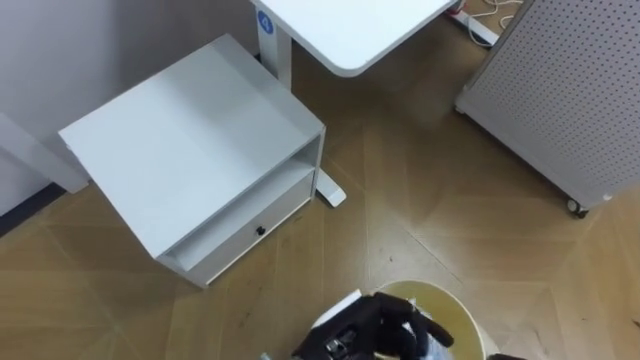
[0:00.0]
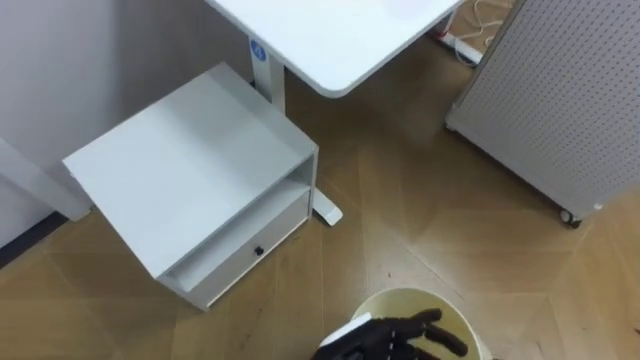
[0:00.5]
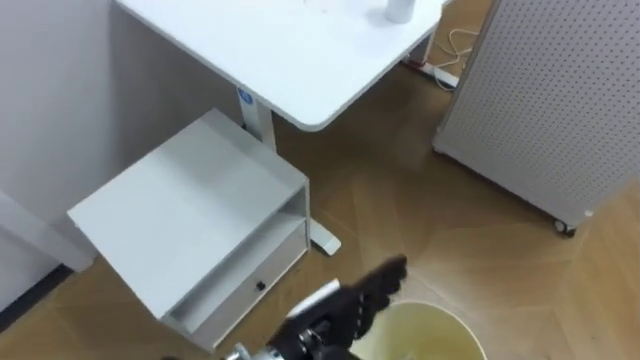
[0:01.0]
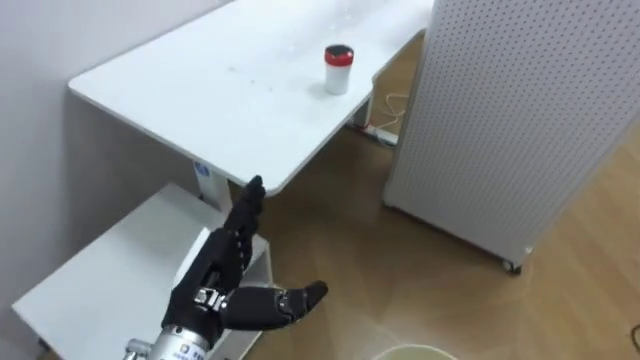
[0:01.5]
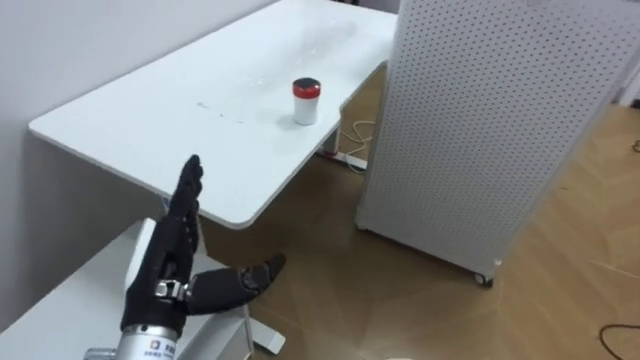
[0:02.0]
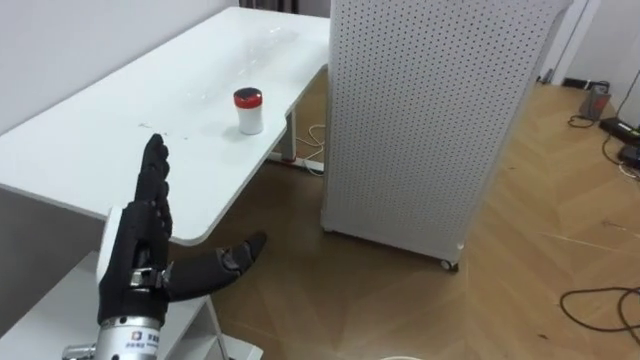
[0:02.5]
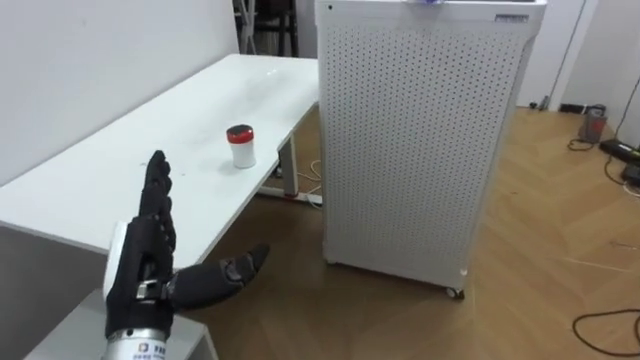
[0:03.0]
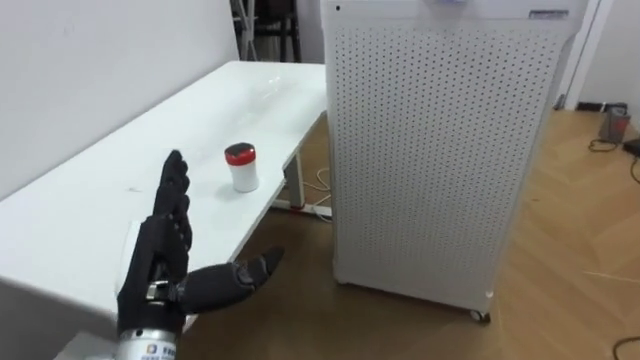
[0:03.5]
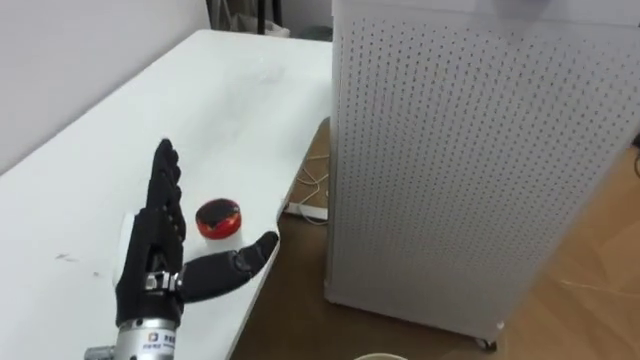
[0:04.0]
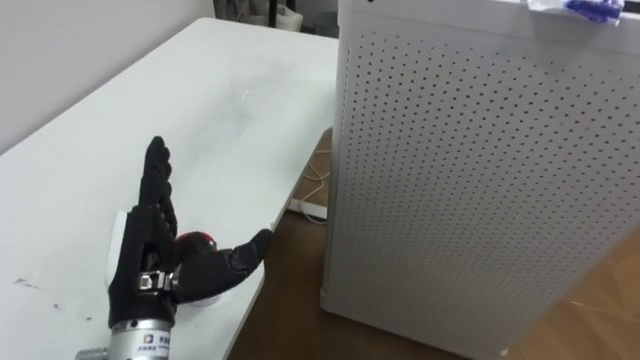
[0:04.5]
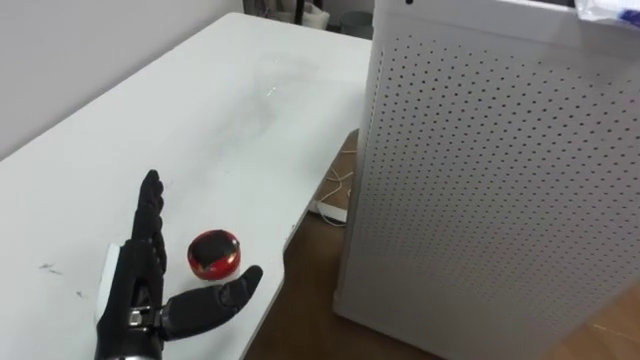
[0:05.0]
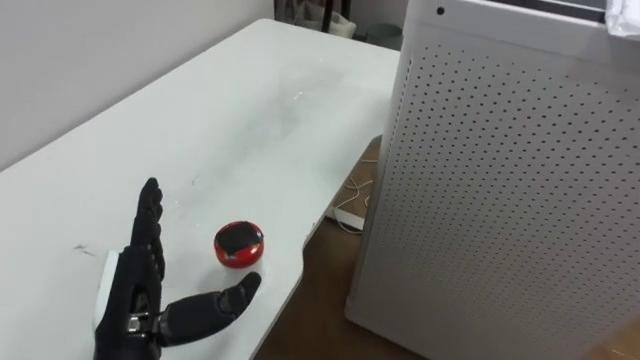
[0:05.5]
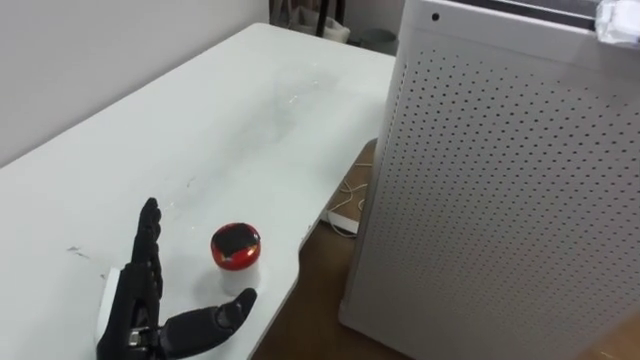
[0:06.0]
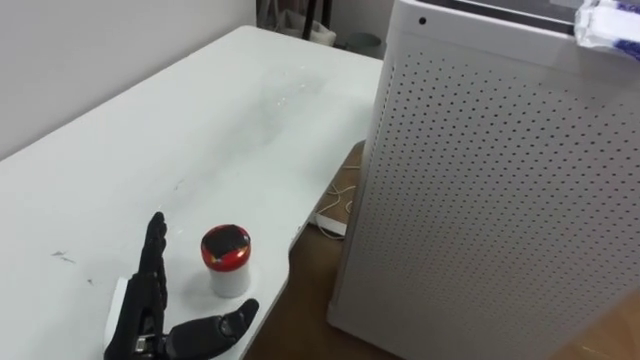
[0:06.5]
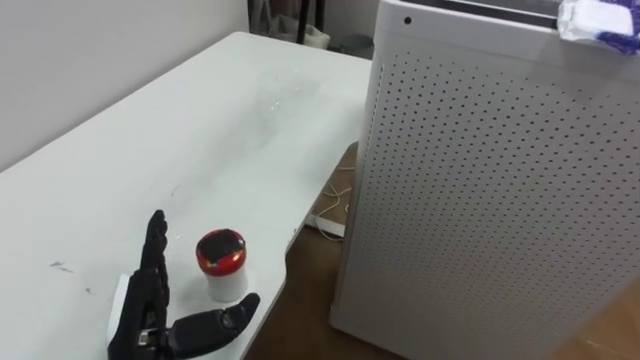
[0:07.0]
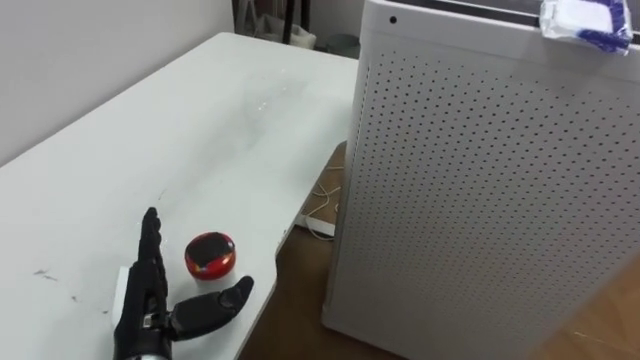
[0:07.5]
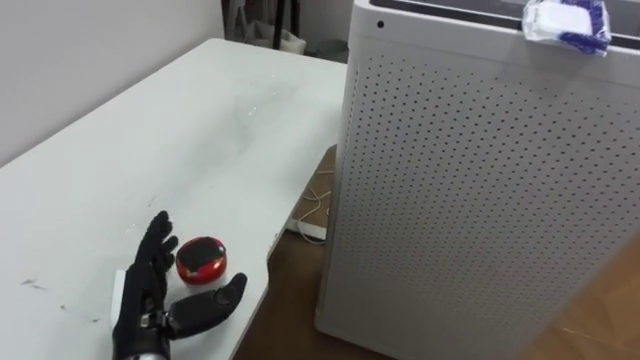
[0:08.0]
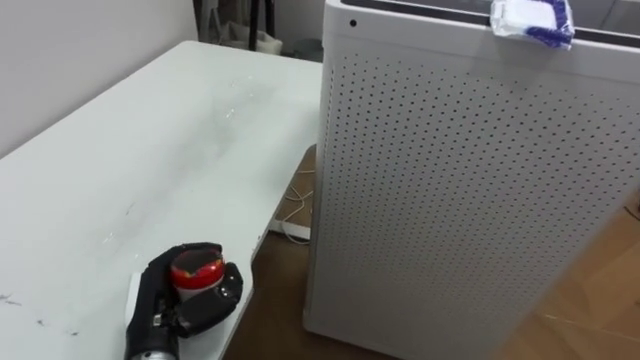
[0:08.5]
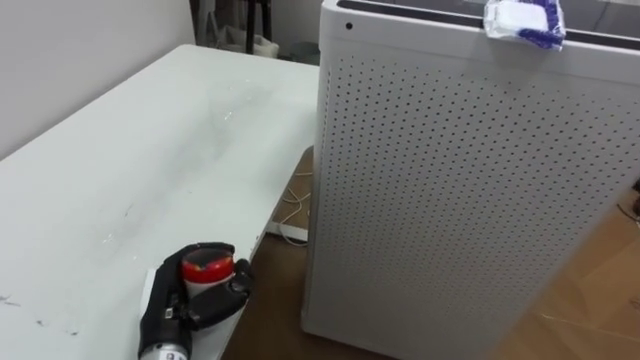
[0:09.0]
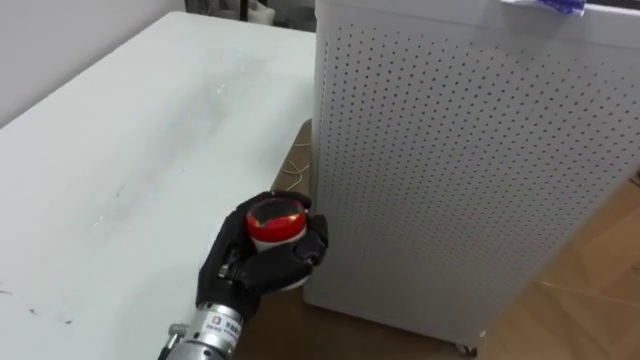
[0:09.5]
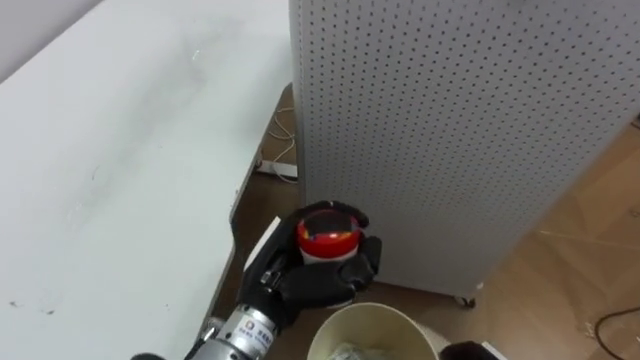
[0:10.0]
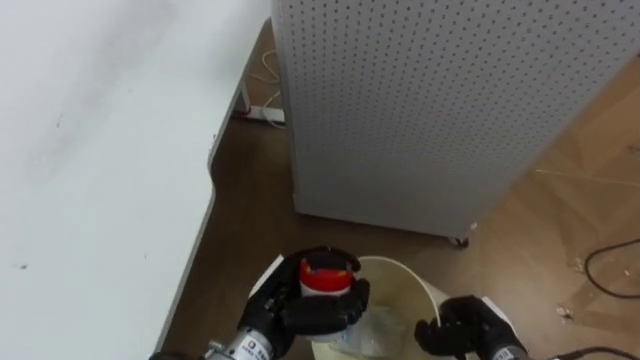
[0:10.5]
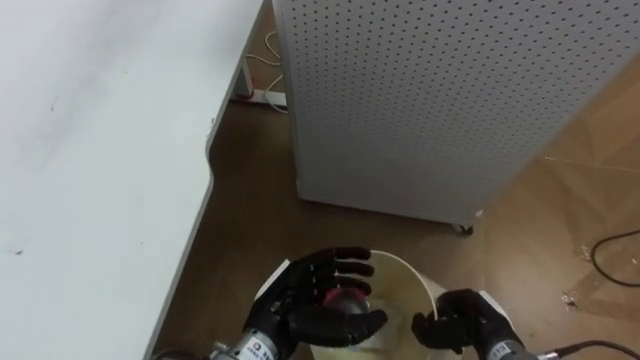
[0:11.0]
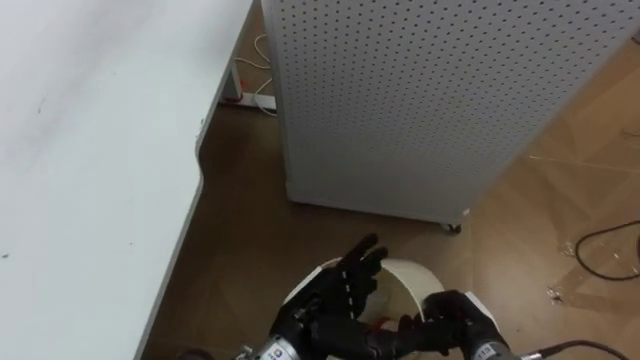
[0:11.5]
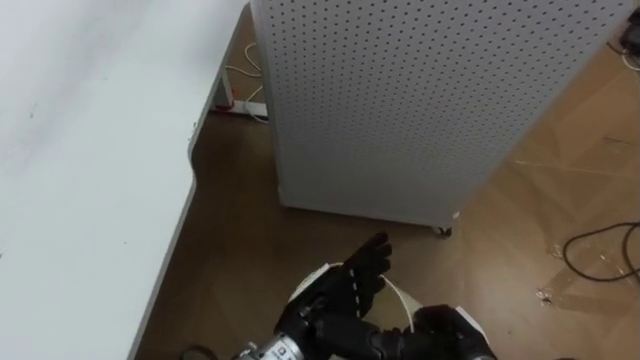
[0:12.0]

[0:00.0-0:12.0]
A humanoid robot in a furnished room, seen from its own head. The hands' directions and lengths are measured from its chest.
Task of the whole recording: Pick up the light blue package, the candy box, and the dark blue package separately, and put them into the trash can held in your right hand.
0:00.0 to 0:02.0: The robot turns to its right by roughly 20 degrees. The left hand is displaced to the left by some 20 cm, and opens.
0:04.0 to 0:06.0: The left hand changes place by some 5 cm.
0:08.0 to 0:10.0: The left hand heads to the right, covering roughly 15 cm, and closes its fingers.
0:10.0 to 0:12.0: The left hand shifts roughly 10 cm downward and to the right, and opens.

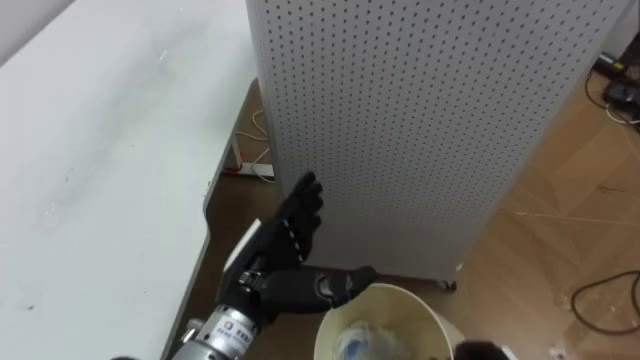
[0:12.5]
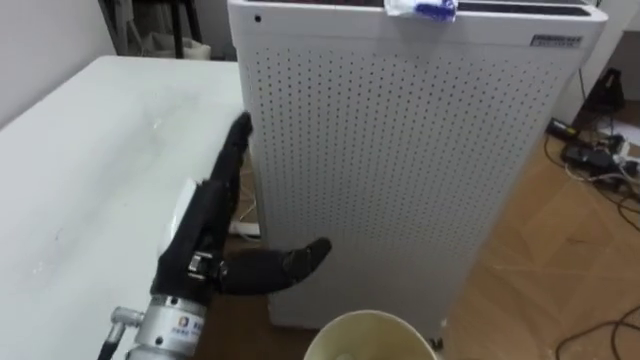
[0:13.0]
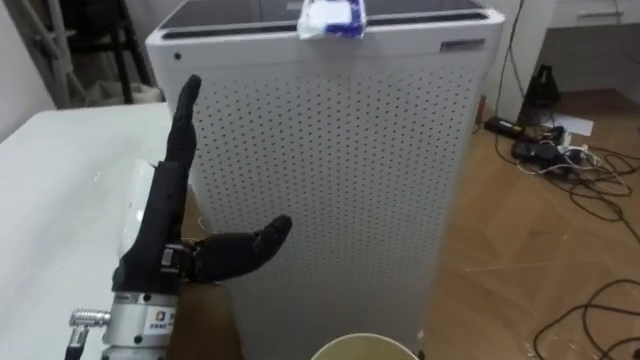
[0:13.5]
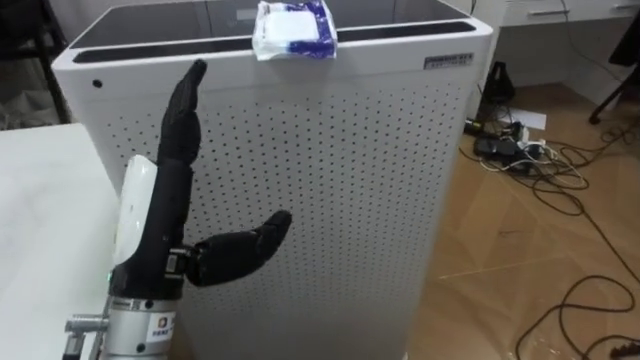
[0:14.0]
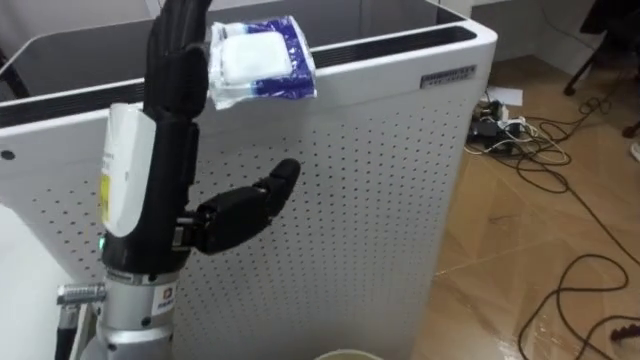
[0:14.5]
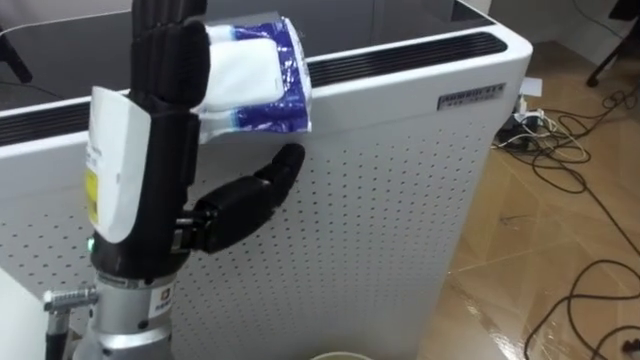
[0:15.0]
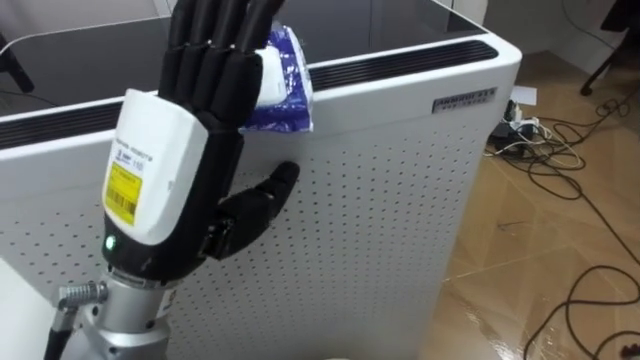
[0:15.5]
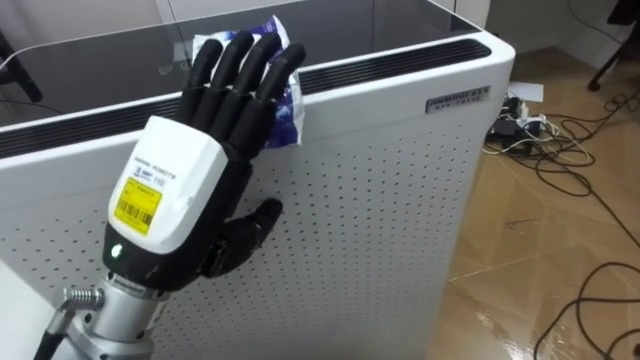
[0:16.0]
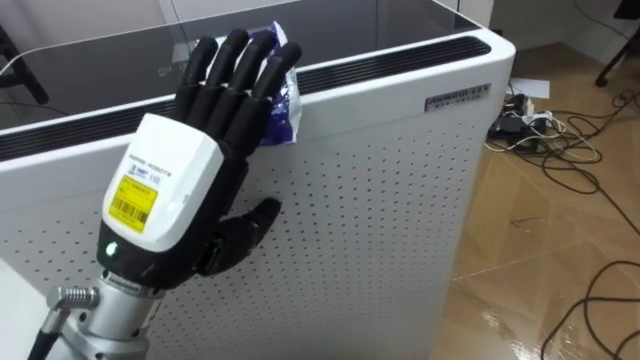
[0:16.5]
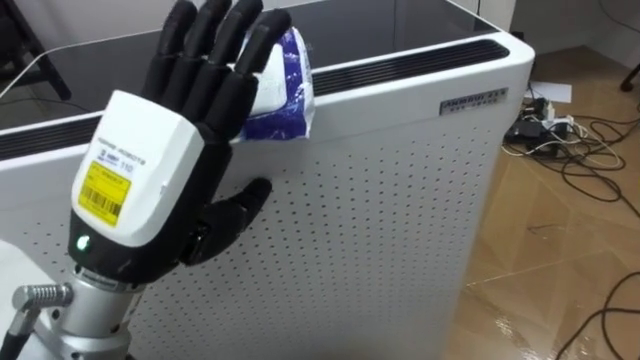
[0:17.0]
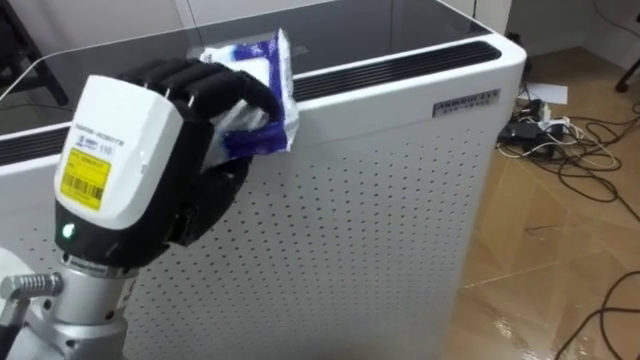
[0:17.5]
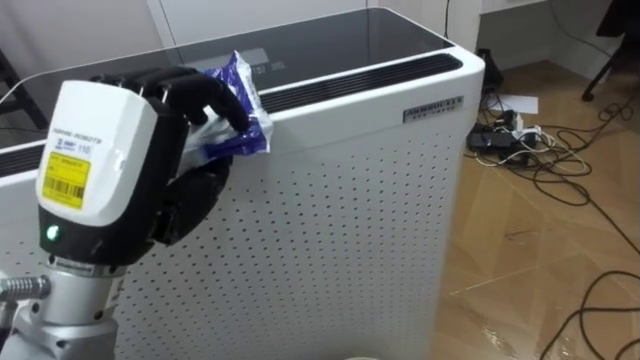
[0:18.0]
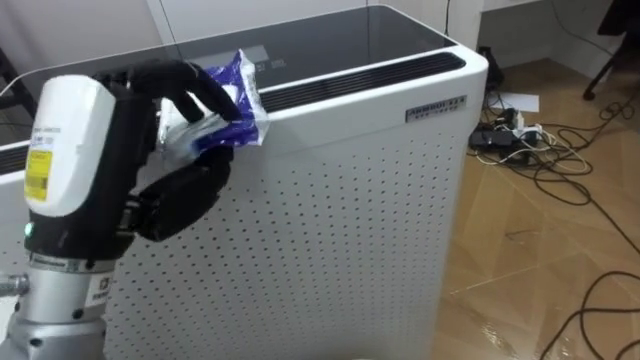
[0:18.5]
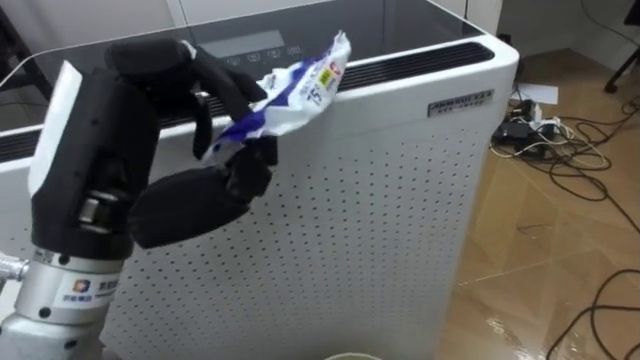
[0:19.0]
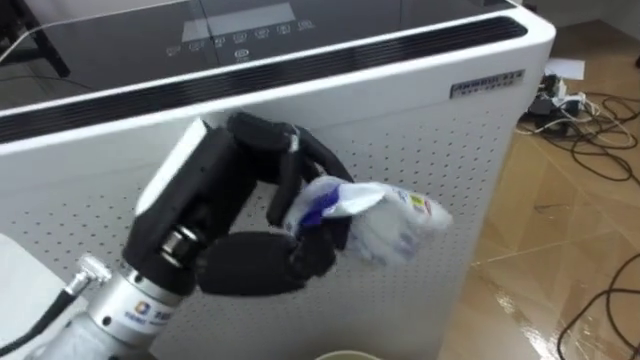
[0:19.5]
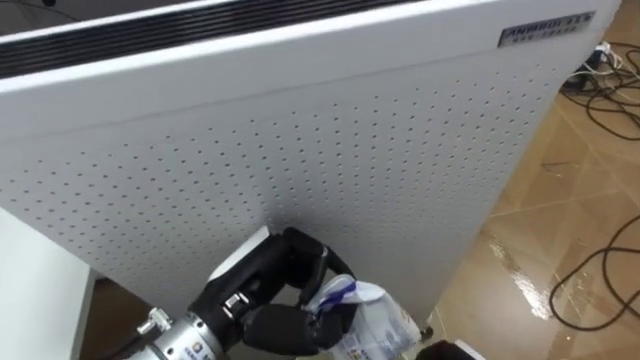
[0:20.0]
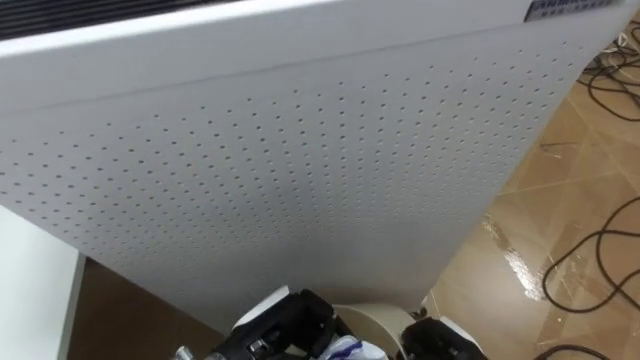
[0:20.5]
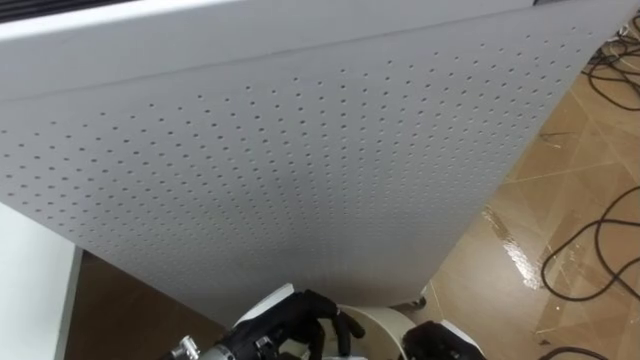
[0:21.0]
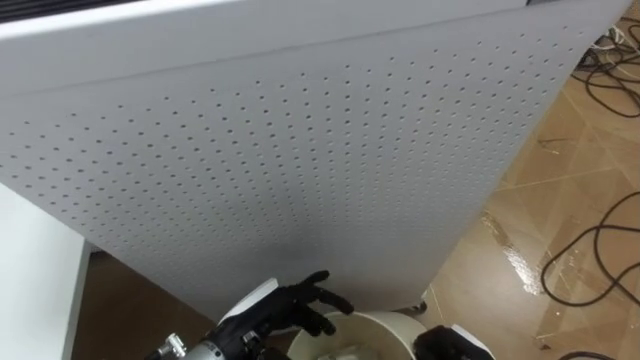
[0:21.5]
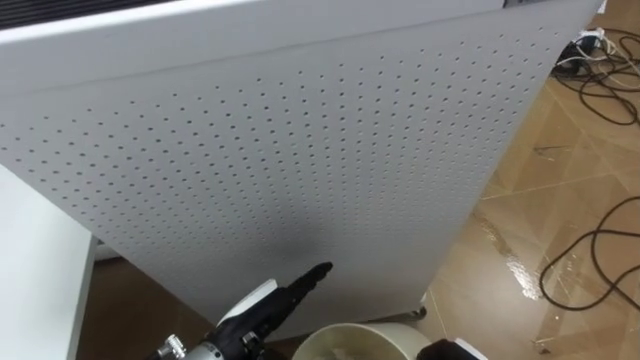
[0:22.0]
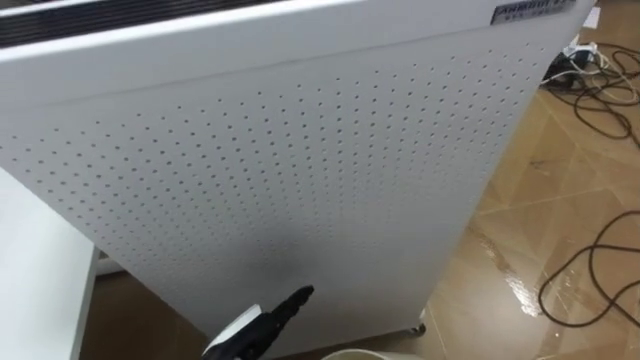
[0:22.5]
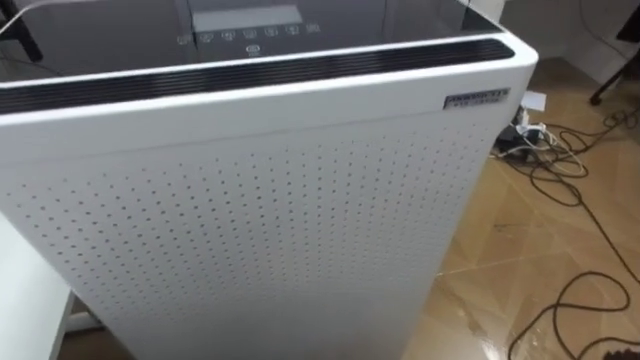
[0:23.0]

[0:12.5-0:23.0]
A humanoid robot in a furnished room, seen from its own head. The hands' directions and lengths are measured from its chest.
Task of the whole recording: Pick up the light blue package, the candy box, and the dark blue package separately, and put them into the trash can held in your right hand.
0:12.5 to 0:14.5: The robot faces about 30 degrees further to its right. The left hand moves upward and to the left, some 20 cm.
0:16.5 to 0:19.0: The left hand closes up.
0:19.0 to 0:21.0: The left hand is displaced downward by roughly 25 cm.
